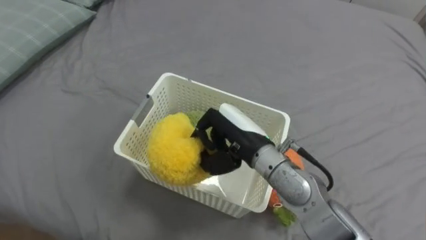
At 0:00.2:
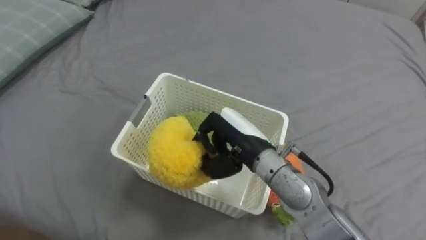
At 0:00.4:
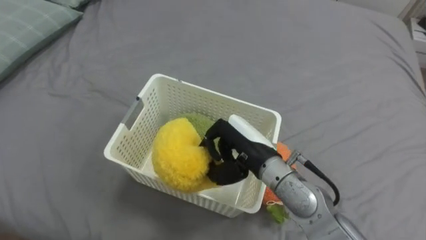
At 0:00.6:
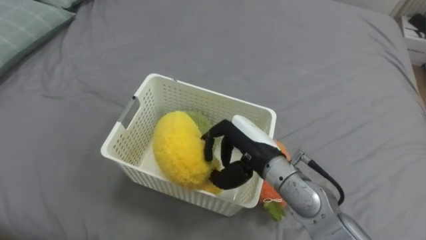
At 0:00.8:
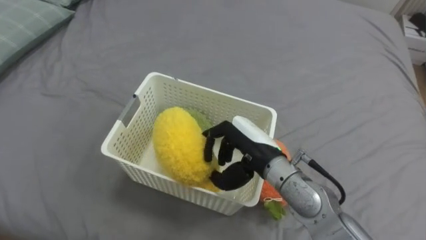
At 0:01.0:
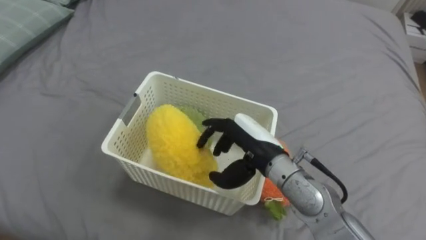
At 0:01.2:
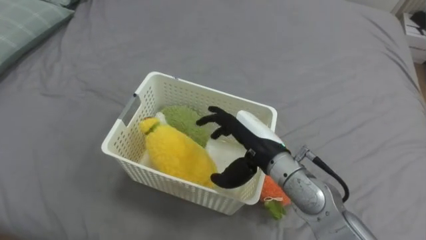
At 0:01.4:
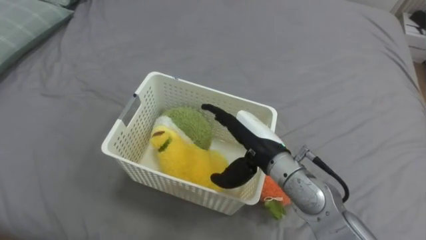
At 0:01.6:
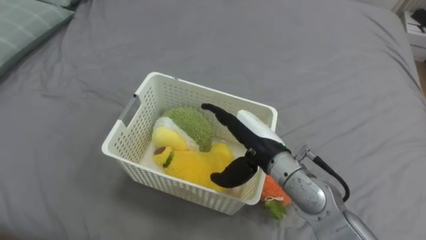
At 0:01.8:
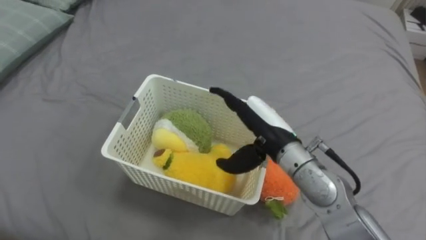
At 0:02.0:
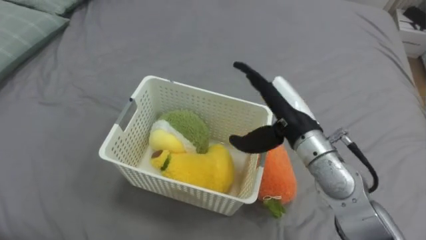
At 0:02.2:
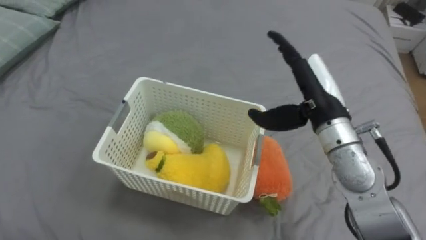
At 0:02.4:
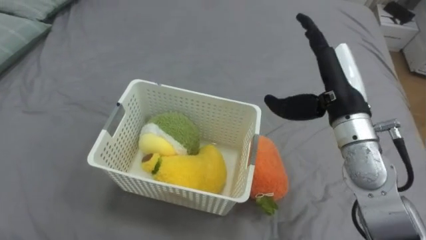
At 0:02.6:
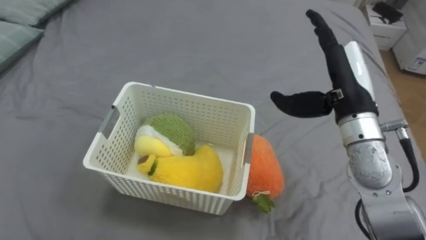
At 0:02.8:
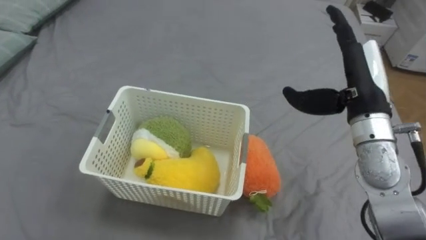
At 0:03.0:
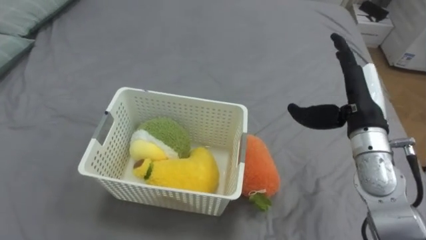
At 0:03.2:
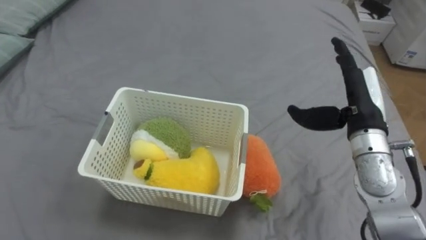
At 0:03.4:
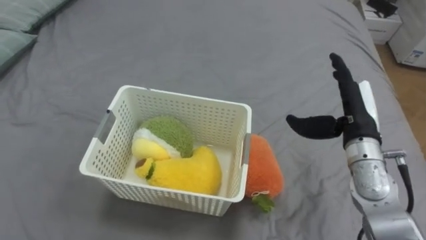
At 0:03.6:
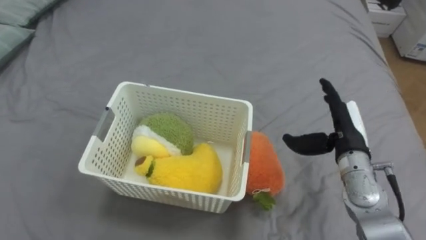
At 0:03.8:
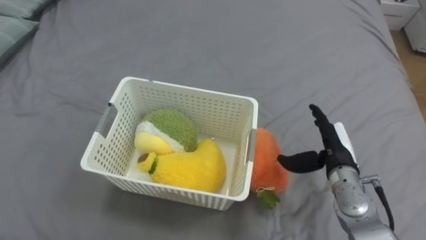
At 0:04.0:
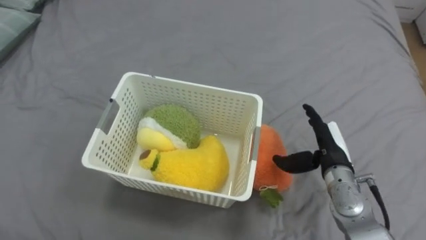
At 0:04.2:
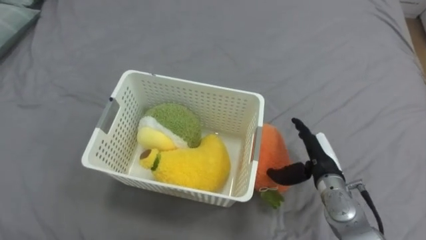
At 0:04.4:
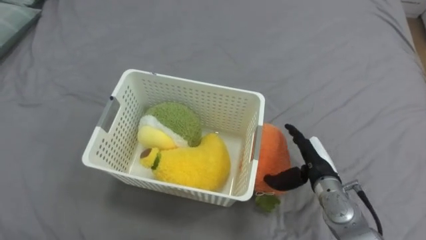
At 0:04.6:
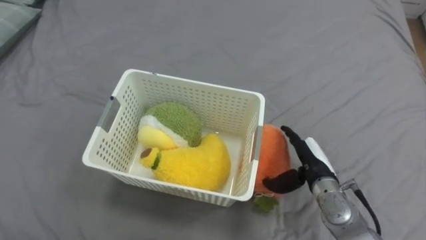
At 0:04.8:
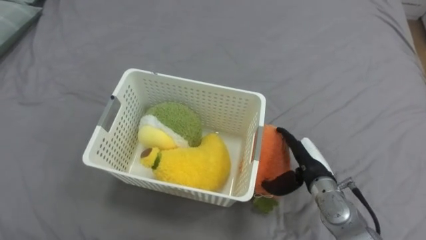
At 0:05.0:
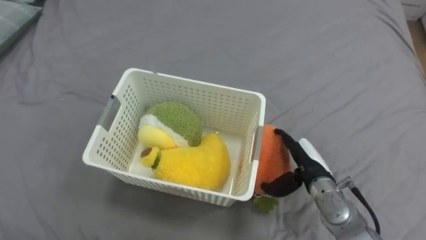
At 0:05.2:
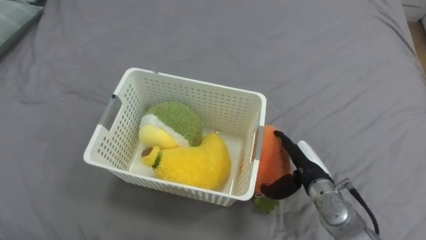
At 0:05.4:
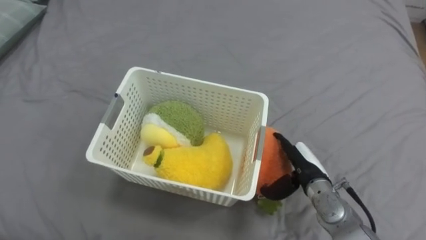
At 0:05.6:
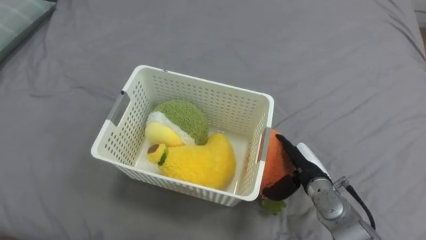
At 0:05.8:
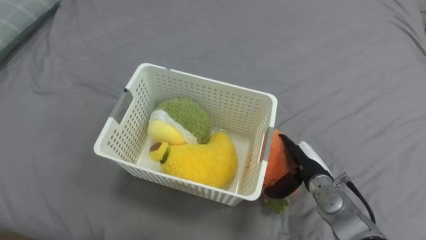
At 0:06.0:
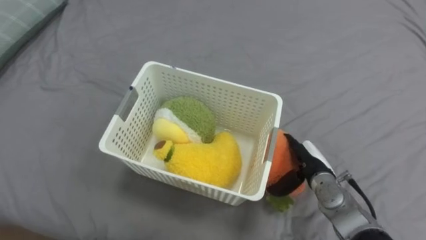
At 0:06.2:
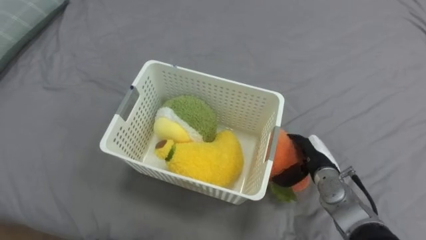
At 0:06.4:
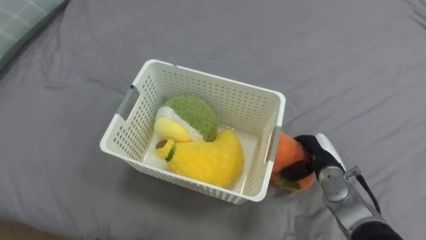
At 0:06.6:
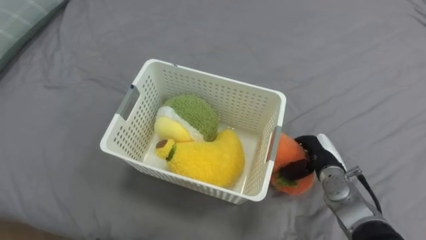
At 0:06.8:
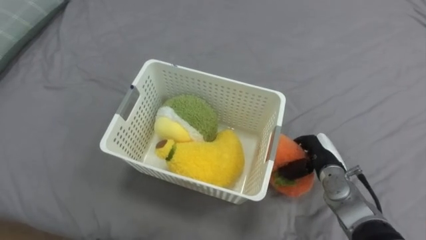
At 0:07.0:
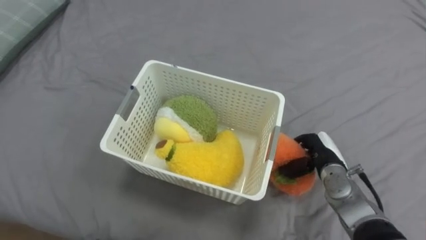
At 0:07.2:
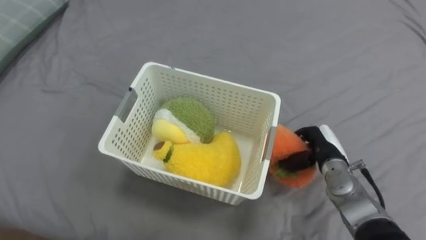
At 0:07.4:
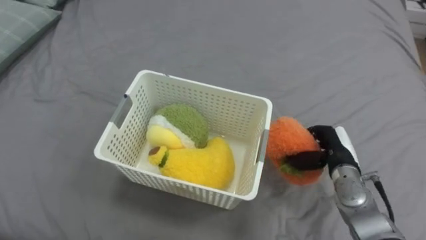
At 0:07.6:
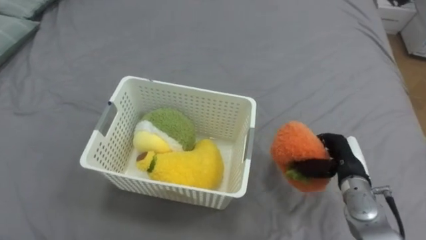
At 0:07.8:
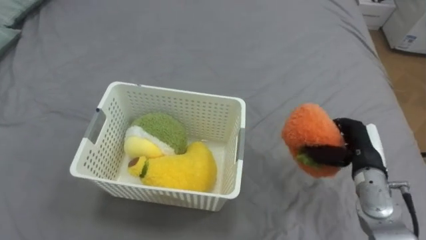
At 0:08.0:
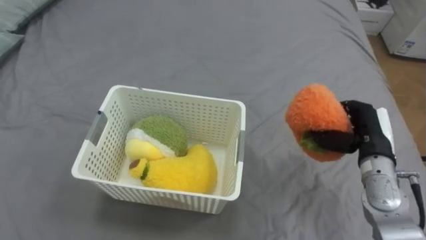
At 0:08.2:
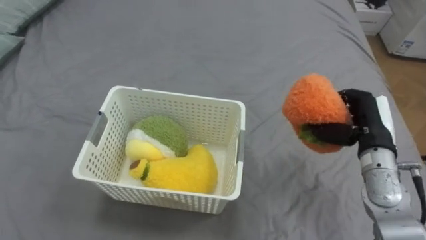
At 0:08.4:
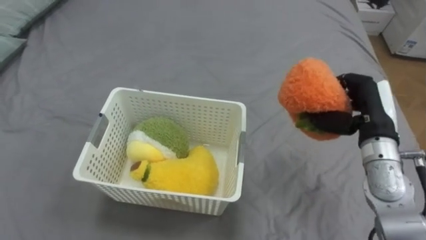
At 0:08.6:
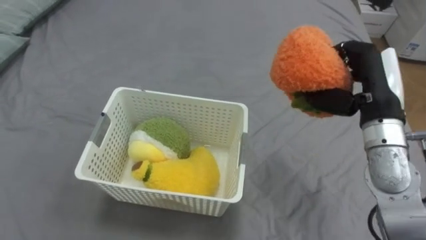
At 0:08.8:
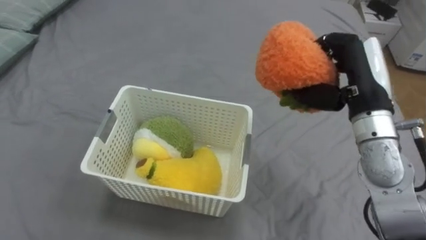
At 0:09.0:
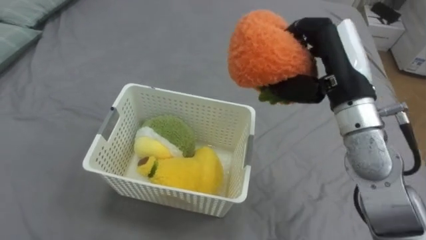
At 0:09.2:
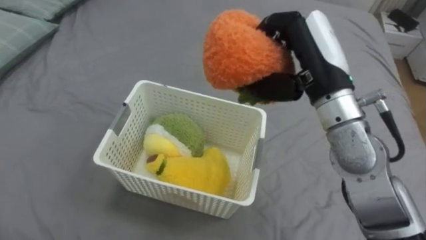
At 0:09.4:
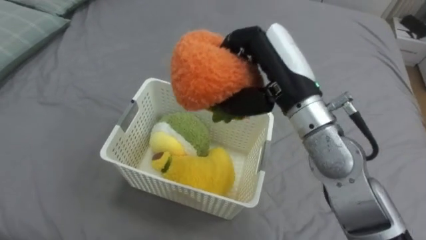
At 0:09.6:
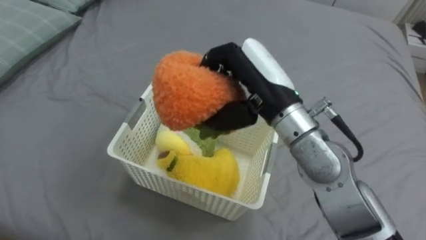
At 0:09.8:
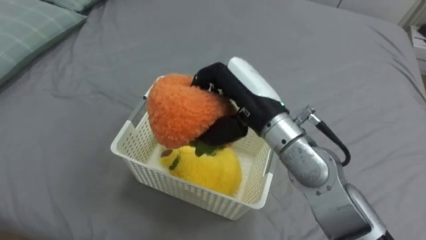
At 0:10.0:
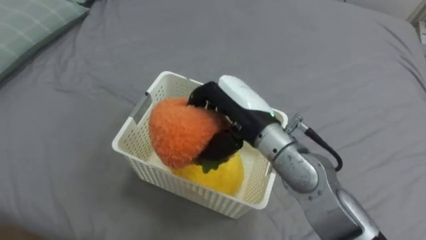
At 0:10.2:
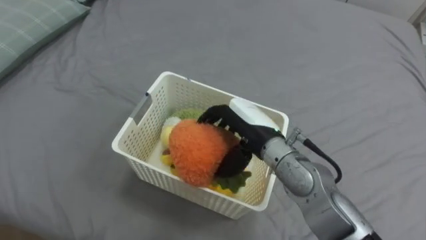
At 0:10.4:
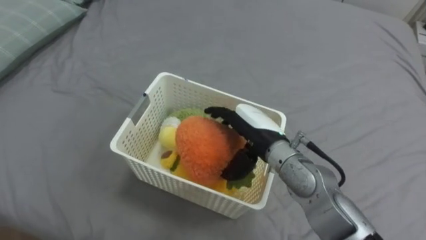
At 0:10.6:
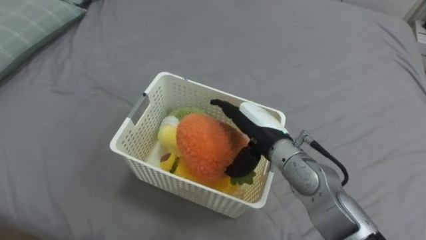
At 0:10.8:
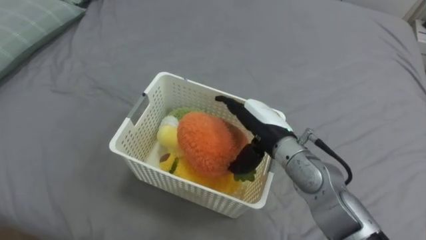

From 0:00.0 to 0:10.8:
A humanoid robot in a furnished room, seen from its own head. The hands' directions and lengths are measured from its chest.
Task of the whole recording: Put the toys on the bed into the basket on the left.
From 0:00.0 to 0:01.6: The right hand opens up.
From 0:01.6 to 0:03.0: The right hand heads to the right, covering approximately 15 cm.
From 0:03.0 to 0:04.6: The right hand goes some 15 cm downward.
From 0:06.2 to 0:07.8: The right hand heads to the right and upward, covering about 10 cm, and closes up.
From 0:07.8 to 0:09.2: The right hand moves upward and to the left, approximately 25 cm.
From 0:09.2 to 0:10.8: The right hand is displaced downward by roughly 15 cm, and opens.

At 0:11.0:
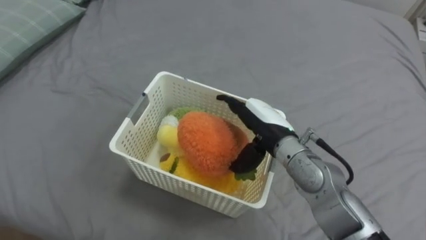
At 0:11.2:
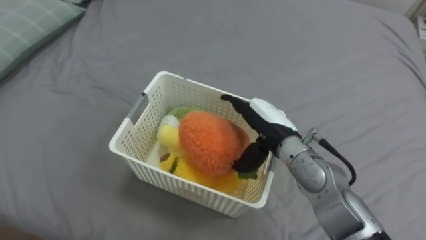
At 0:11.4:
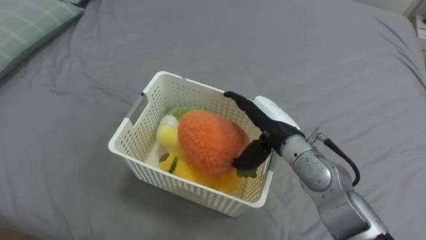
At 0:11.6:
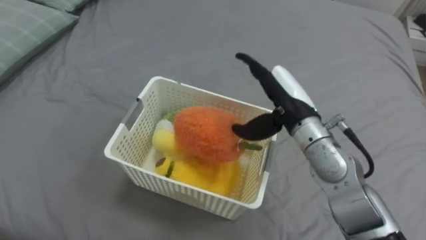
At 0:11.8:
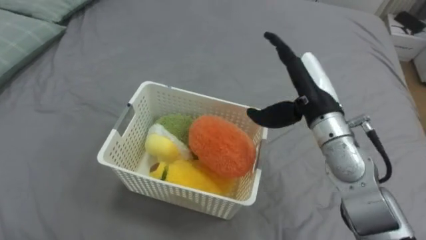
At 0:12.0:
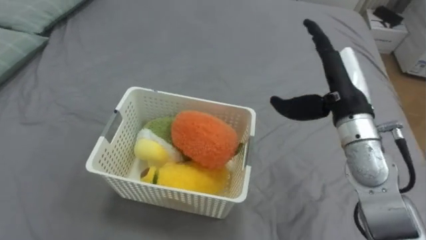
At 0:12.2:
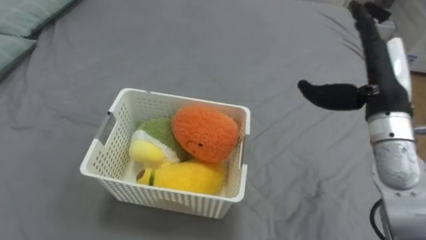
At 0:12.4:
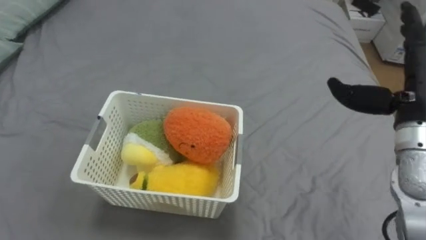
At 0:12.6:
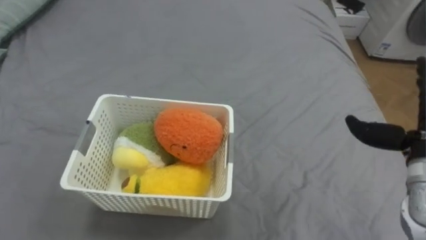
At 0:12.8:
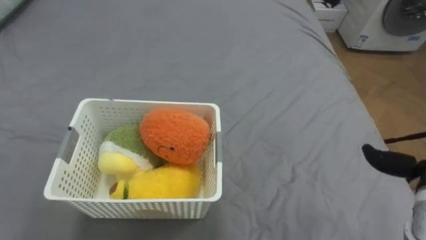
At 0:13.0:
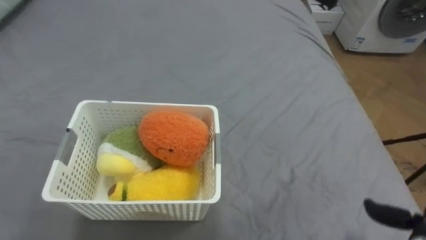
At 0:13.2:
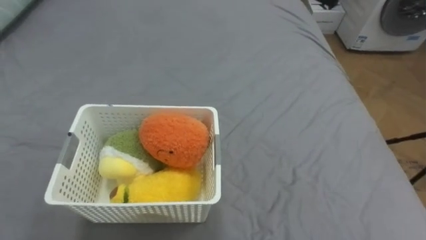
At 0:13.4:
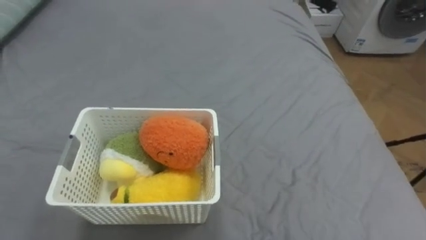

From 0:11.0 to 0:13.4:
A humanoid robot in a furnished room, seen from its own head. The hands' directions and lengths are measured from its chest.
Task of the whole recording: Put the toys on the bed into the basket on the left.
From 0:11.0 to 0:12.2: The right hand goes roughly 20 cm to the right and upward.

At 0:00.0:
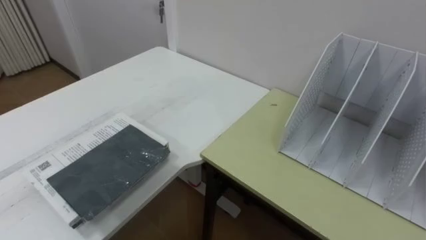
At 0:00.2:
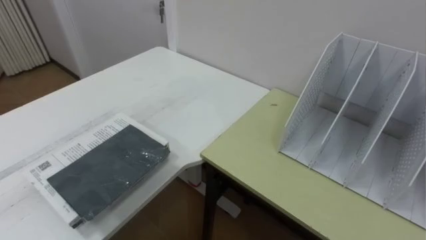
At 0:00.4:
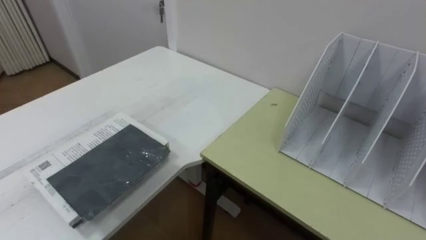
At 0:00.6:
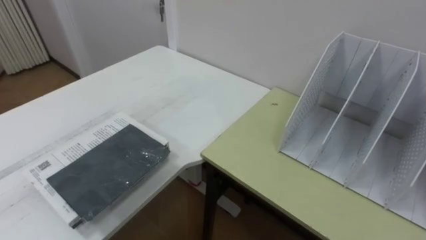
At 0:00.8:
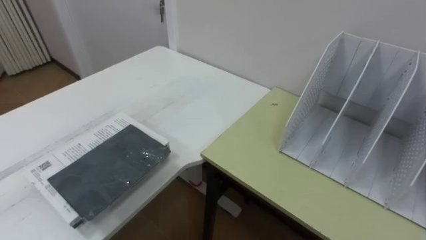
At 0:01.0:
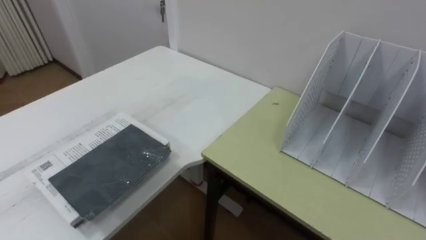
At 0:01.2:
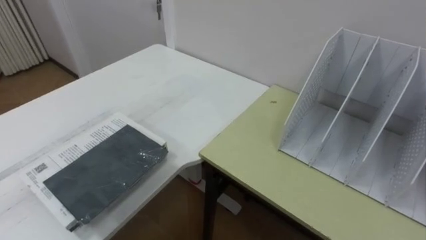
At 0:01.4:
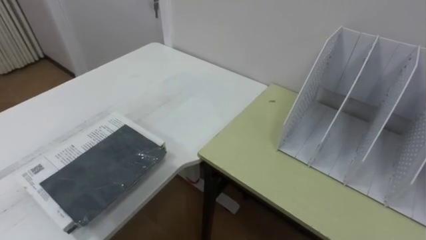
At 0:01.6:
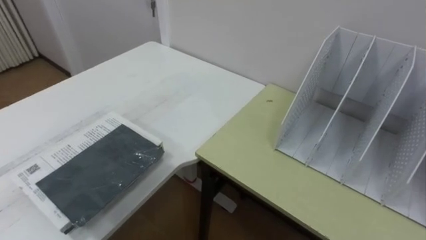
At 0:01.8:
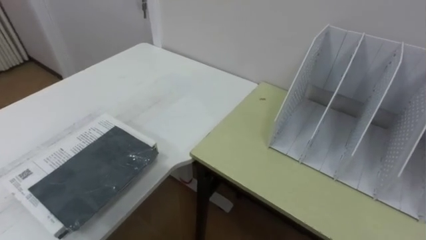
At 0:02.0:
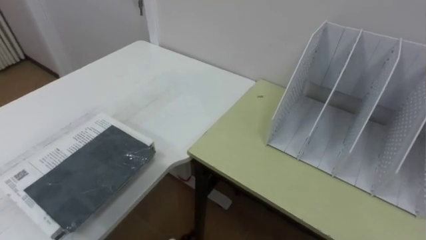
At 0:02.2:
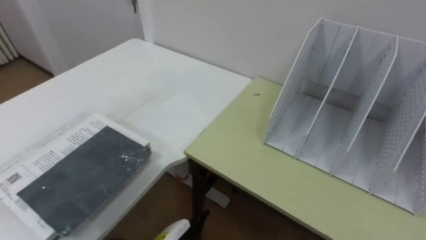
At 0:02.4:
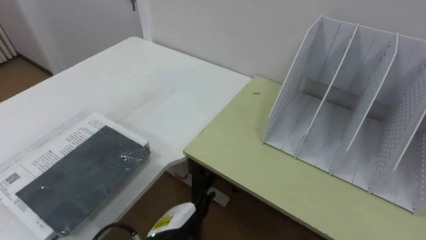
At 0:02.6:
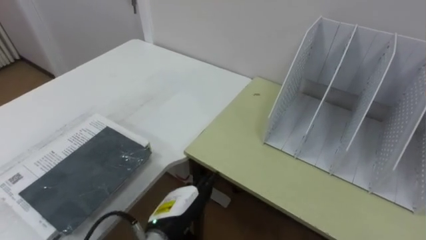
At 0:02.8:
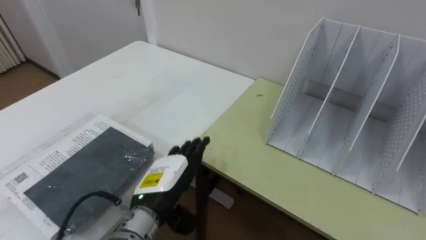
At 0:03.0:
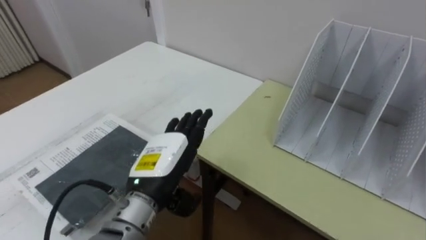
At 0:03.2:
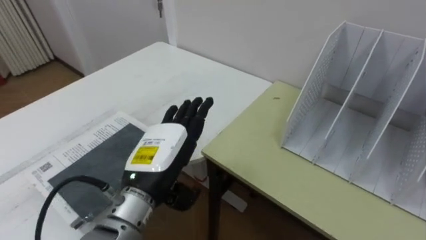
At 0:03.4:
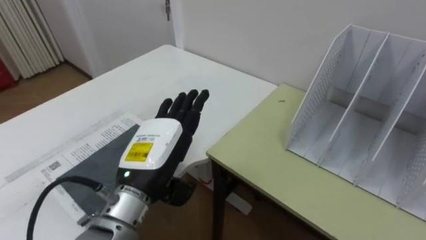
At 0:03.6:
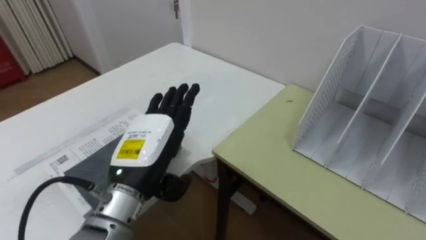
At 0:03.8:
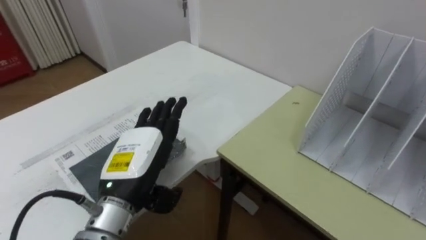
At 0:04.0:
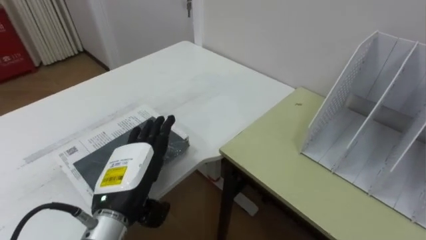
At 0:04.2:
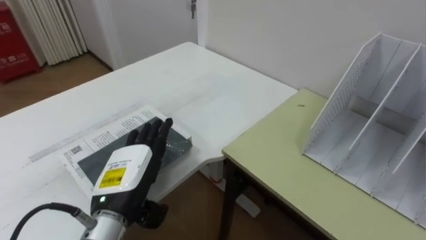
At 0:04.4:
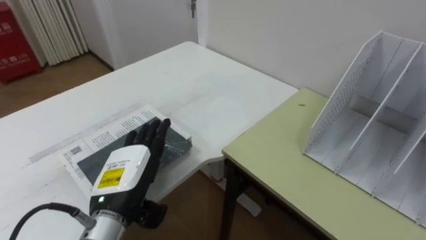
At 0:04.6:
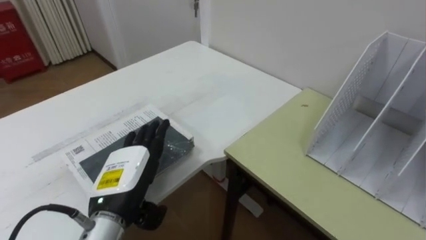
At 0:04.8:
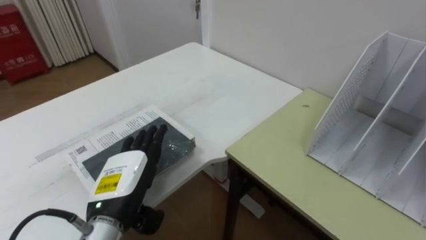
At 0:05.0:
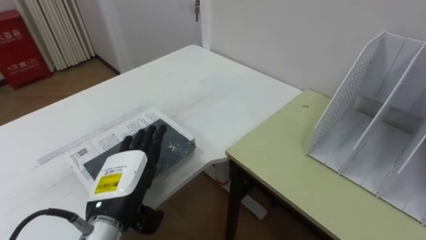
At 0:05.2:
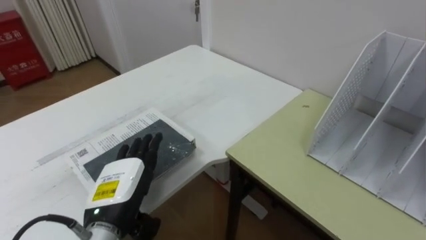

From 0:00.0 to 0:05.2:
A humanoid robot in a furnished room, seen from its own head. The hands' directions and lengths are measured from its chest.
Task of the whole recording: Put the books on the table onto the bookshelf.
From 0:03.4 to 0:05.2: The left hand travels downward and to the left by approximately 10 cm.
